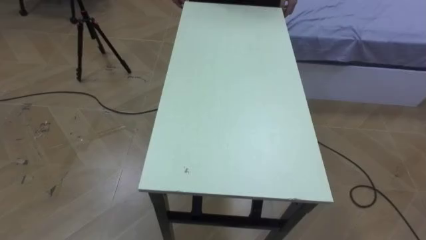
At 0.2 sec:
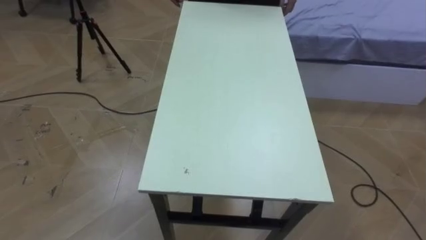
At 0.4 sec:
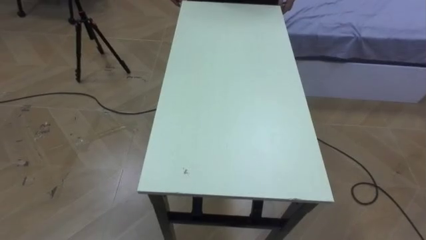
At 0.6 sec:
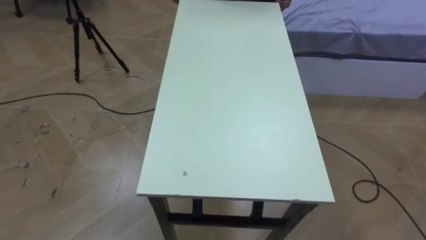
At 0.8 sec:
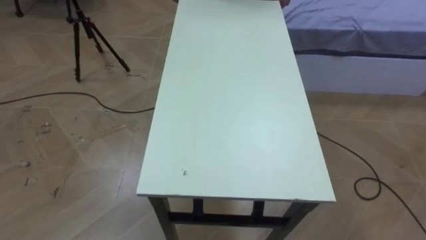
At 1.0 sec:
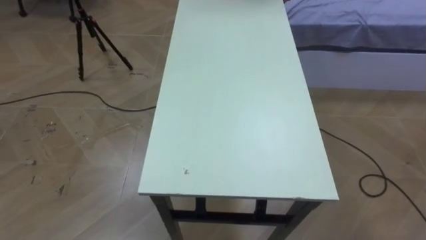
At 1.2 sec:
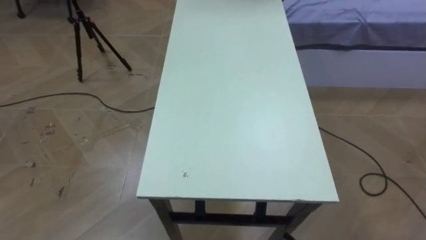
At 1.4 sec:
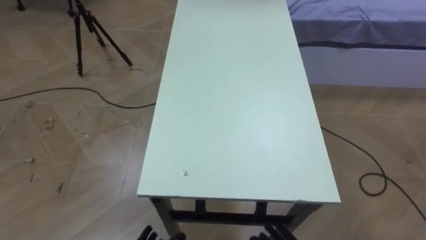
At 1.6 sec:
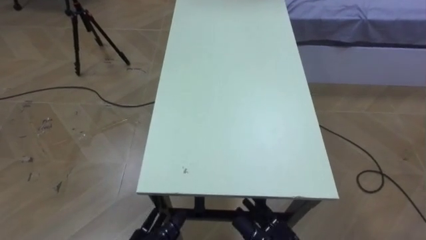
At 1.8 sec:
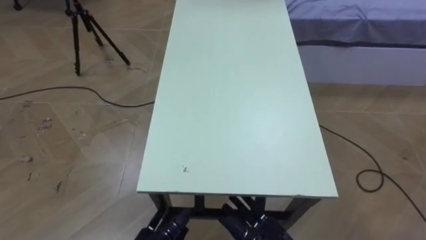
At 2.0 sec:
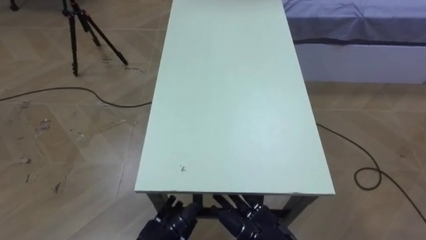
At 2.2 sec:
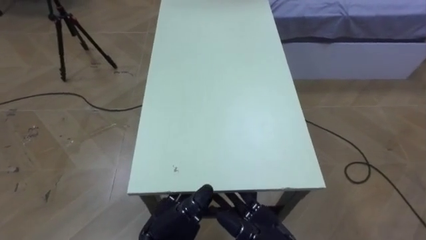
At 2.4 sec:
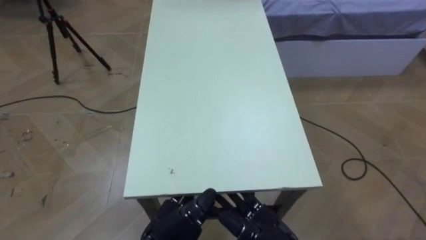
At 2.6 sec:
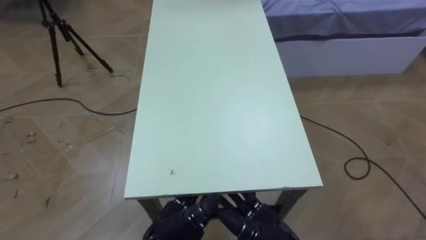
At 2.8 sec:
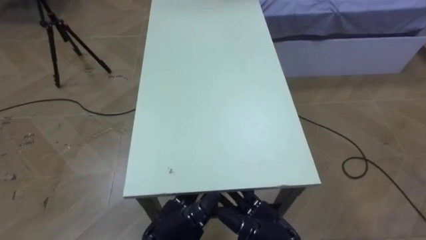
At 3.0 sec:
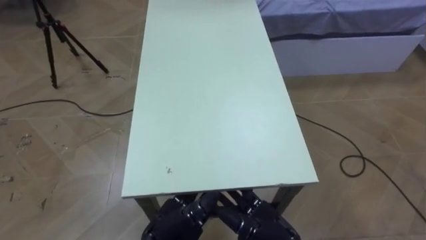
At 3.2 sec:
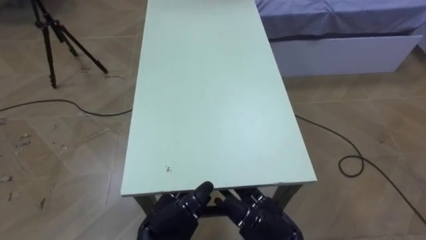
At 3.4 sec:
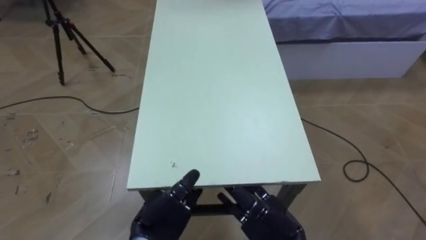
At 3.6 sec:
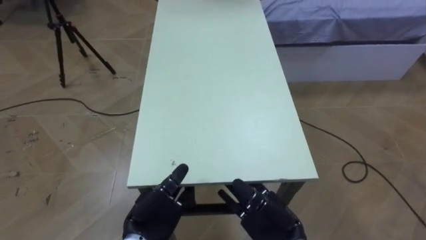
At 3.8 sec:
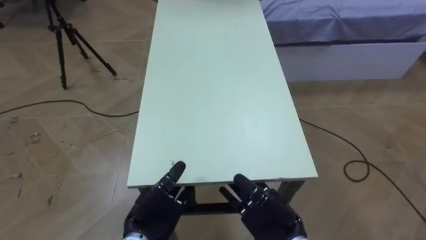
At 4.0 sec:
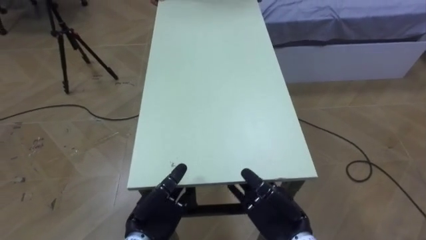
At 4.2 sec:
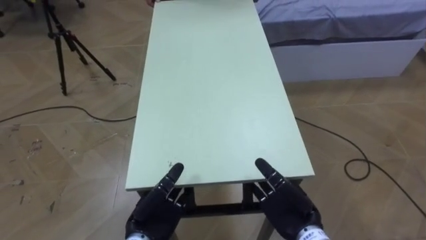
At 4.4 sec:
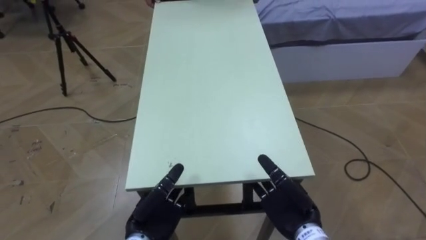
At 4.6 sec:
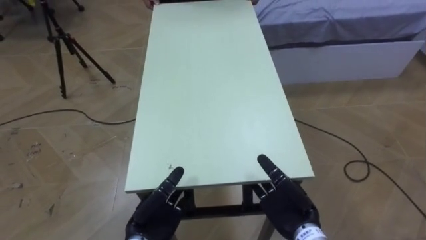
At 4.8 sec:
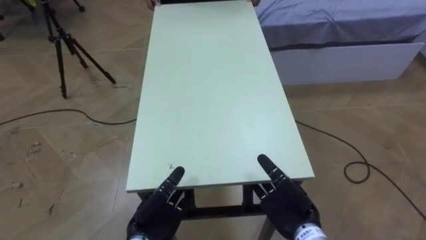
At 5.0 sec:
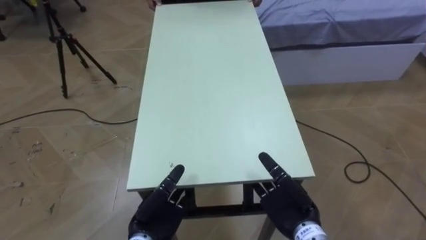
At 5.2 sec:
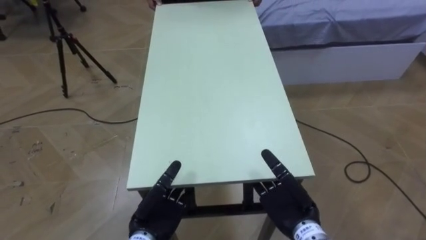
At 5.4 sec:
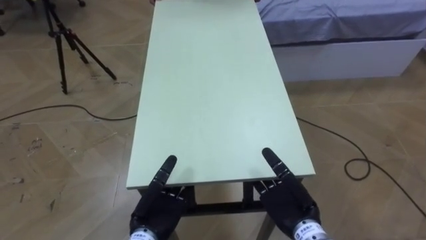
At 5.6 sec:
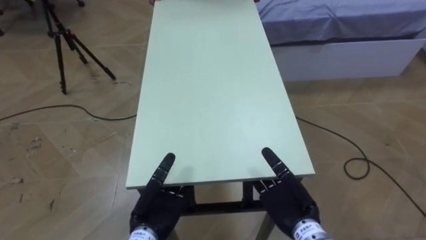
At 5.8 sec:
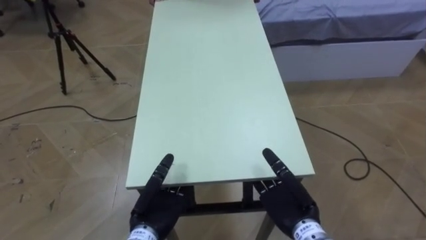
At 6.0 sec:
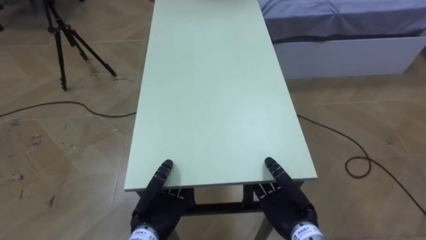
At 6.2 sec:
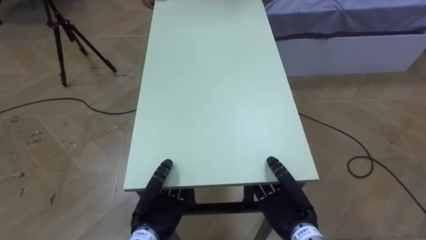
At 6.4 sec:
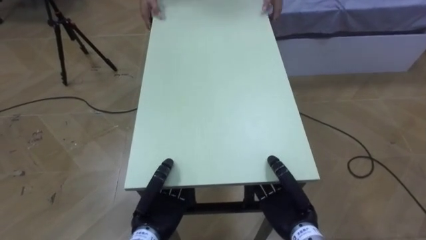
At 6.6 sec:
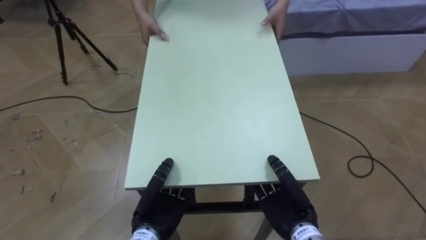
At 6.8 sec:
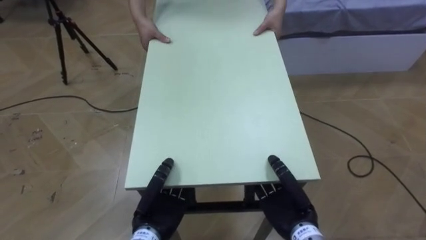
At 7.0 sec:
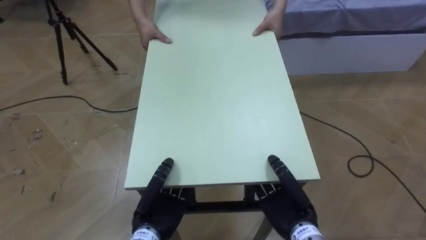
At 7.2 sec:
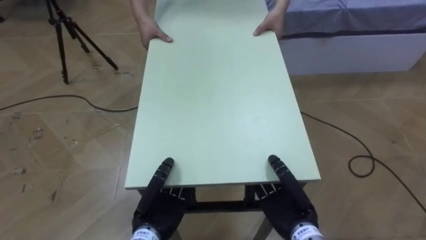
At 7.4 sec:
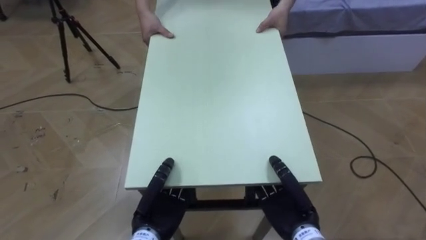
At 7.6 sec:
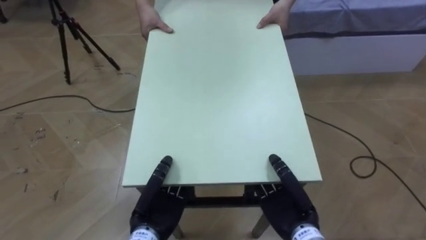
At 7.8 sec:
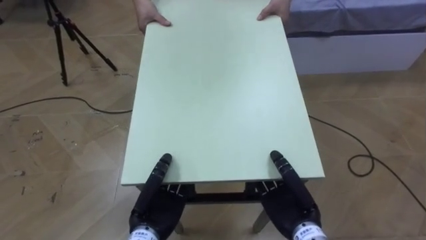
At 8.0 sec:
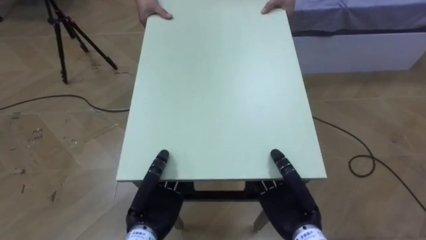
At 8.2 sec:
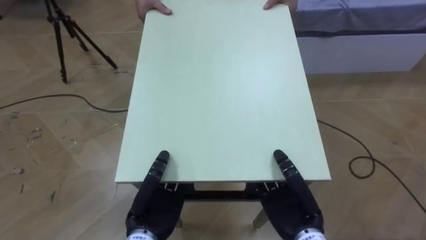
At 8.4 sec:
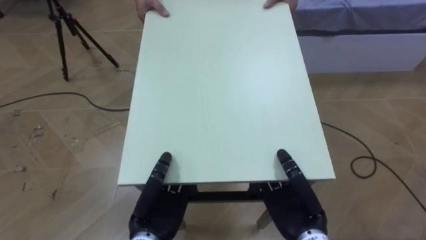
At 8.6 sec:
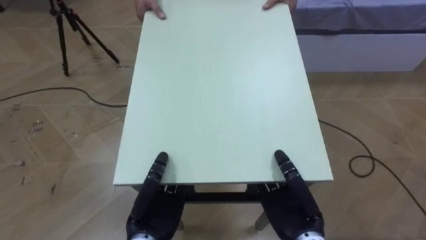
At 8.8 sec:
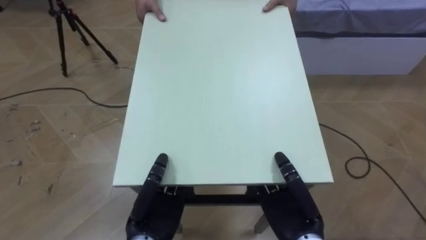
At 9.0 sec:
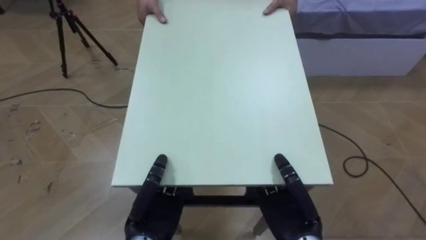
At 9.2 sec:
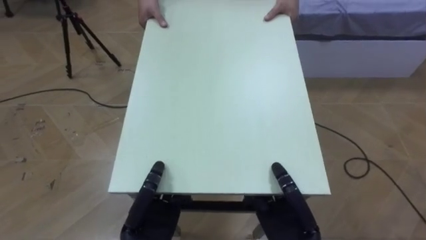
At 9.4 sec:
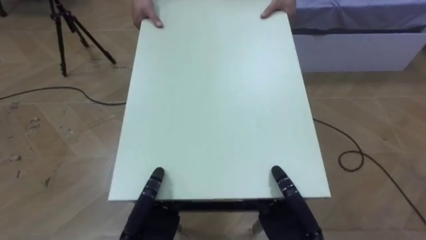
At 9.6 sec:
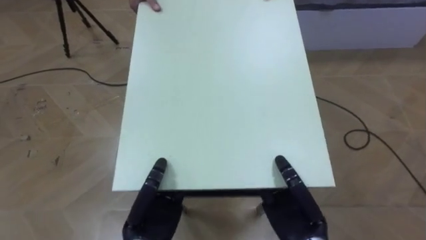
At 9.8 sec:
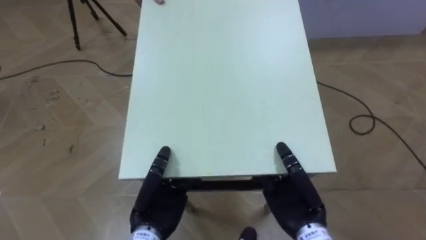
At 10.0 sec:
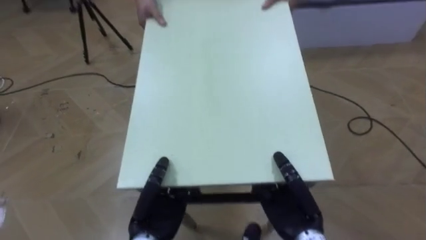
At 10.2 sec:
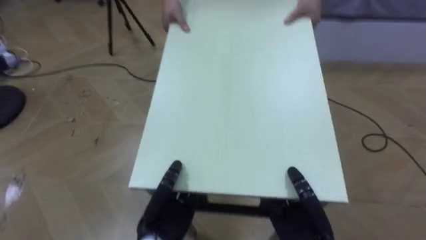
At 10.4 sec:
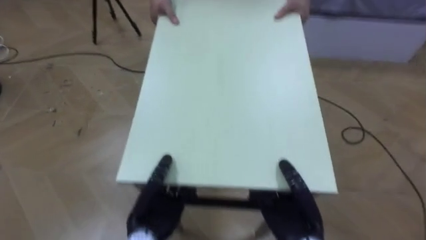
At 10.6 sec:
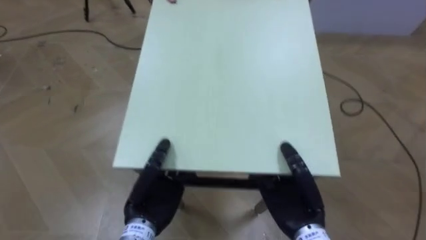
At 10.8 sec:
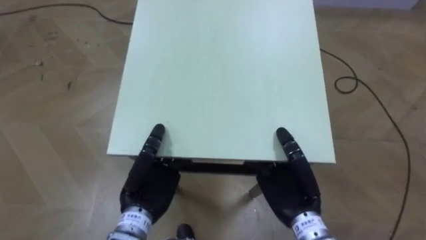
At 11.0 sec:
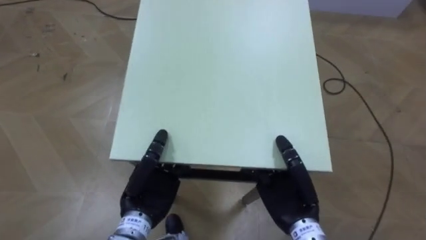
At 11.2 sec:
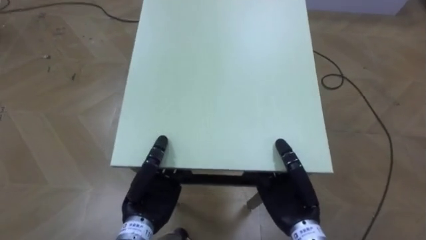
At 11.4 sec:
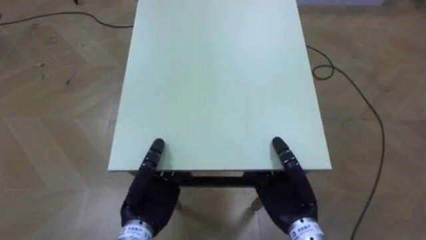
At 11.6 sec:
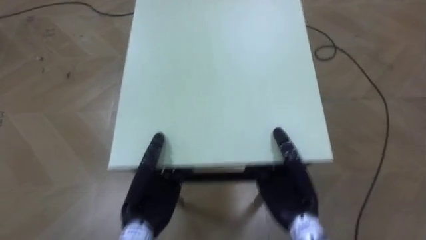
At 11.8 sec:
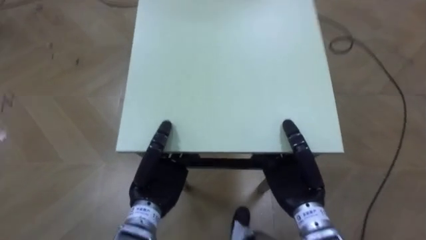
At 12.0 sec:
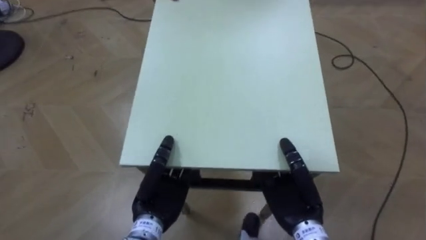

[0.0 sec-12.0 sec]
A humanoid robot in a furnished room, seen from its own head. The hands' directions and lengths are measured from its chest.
Task of the whole recording: Move the table to the back left with someone.
3.0 sec to 4.4 sec: The left hand moves approximately 5 cm. Meanwhile the right hand shifts by approximately 5 cm.
4.4 sec to 6.0 sec: The left hand closes; the right hand closes its fingers.
6.0 sec to 7.6 sec: There are only small adjustments of the hands.

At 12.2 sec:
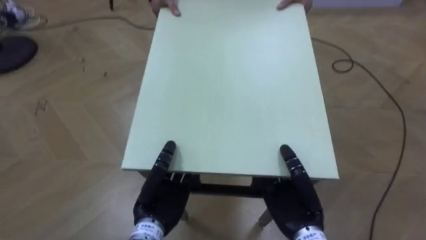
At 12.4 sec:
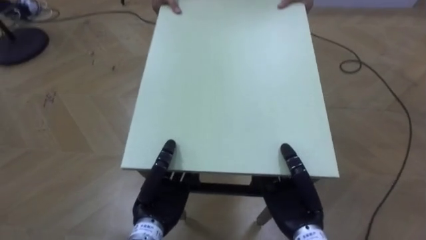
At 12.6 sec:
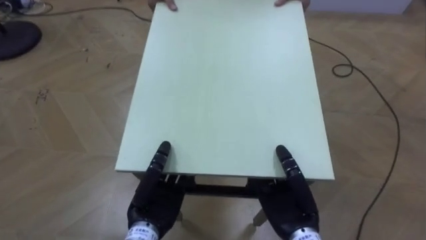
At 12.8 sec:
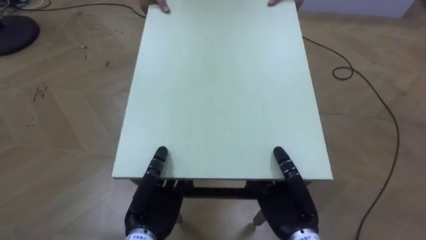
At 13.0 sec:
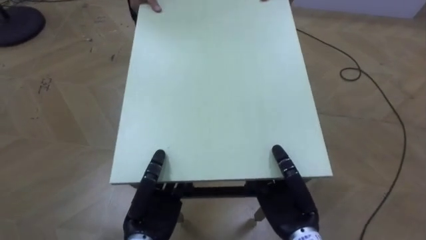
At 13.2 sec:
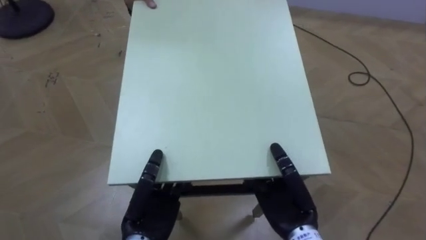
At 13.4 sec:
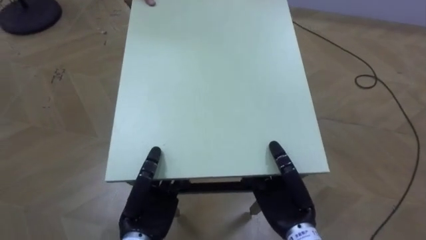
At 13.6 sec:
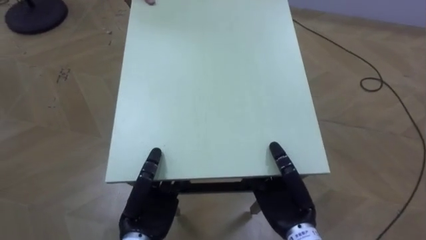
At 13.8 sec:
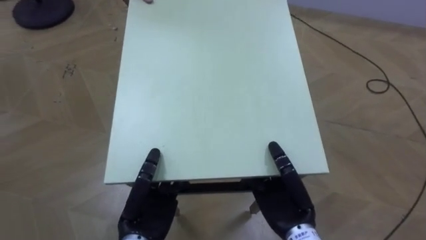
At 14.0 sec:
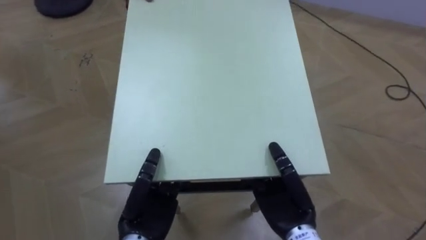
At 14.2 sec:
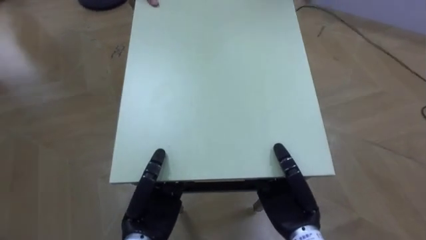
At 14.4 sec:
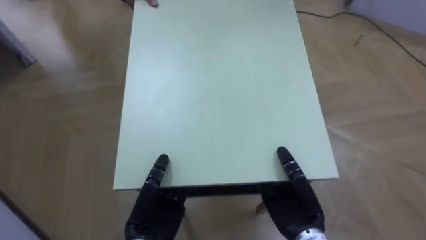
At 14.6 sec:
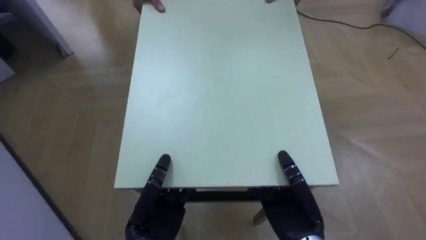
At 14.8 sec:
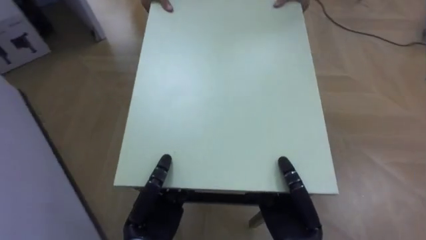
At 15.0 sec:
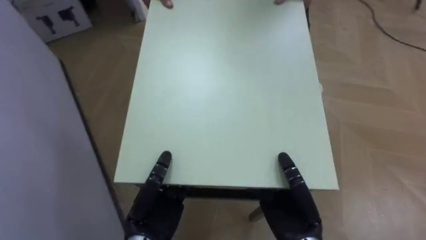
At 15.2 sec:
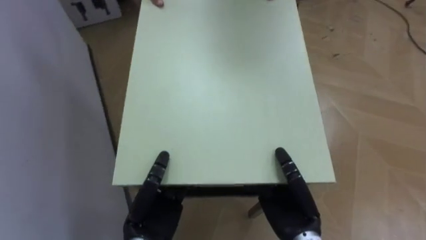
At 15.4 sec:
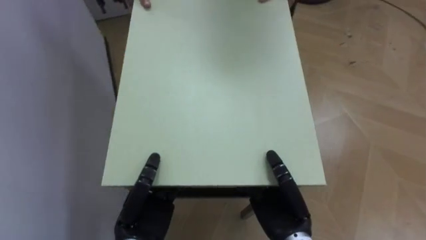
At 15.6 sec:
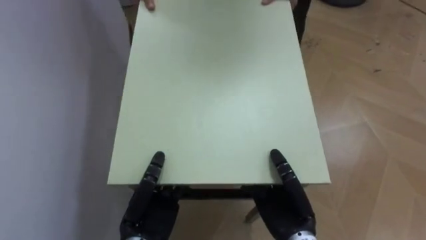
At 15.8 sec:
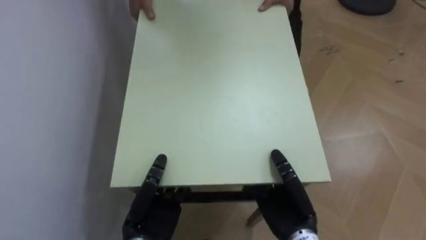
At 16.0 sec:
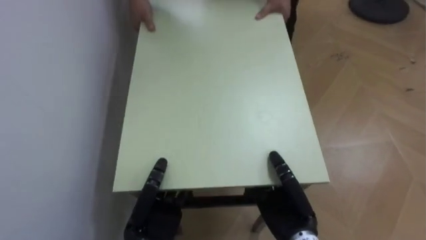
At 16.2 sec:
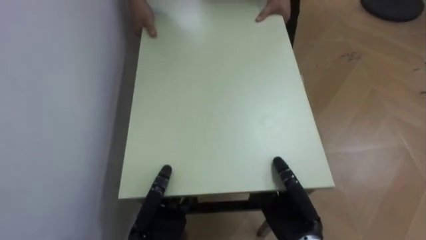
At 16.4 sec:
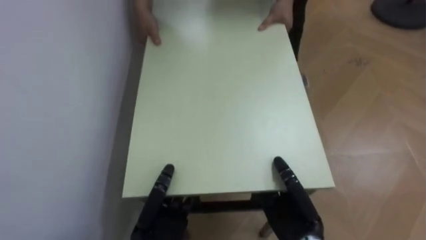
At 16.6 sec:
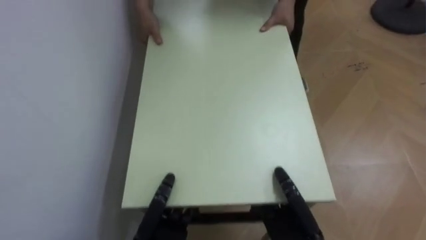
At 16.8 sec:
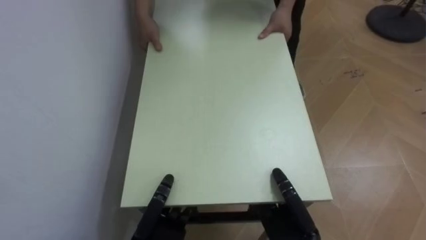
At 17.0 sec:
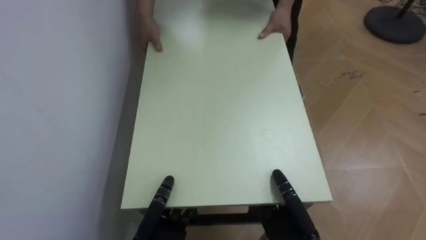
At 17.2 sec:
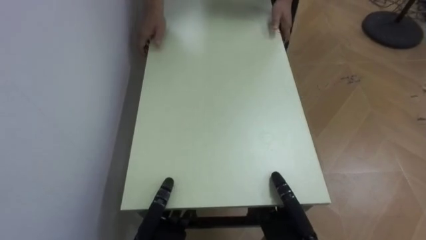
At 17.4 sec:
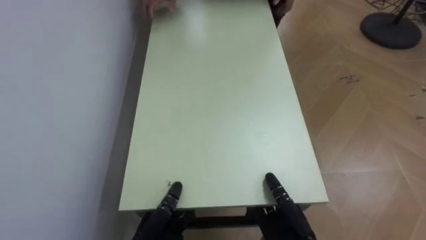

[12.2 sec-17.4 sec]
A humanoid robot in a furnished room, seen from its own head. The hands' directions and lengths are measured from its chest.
Task of the whole recording: Move the table to the back left with someone.
14.0 sec to 15.6 sec: The robot faces some 60 degrees further to its left.
15.6 sec to 17.4 sec: The left hand travels downward by approximately 5 cm; the right hand shifts by some 5 cm.
